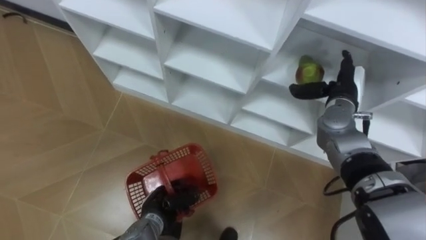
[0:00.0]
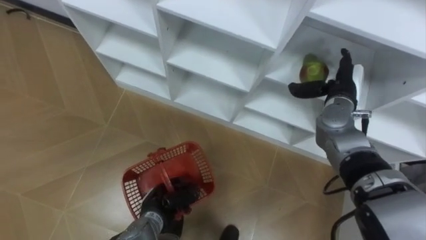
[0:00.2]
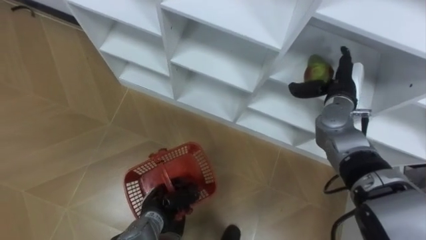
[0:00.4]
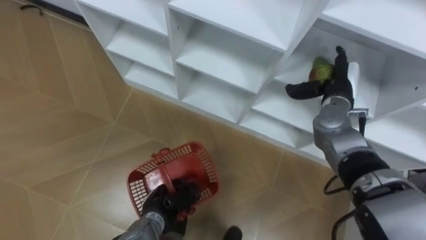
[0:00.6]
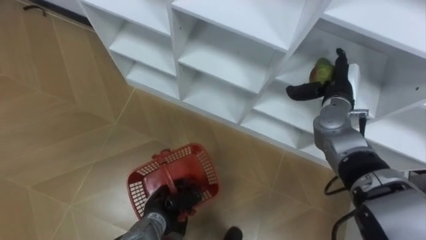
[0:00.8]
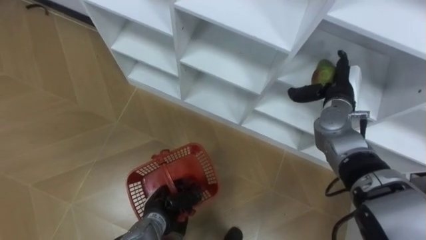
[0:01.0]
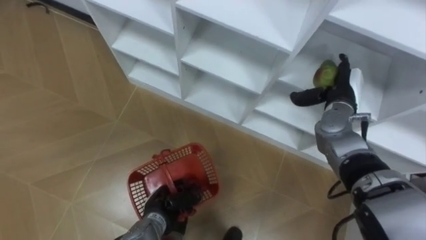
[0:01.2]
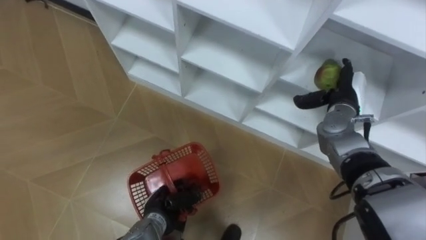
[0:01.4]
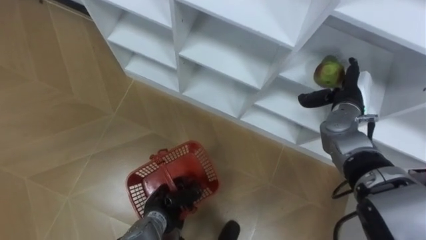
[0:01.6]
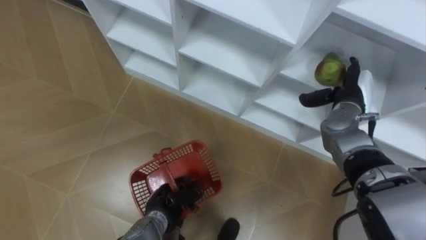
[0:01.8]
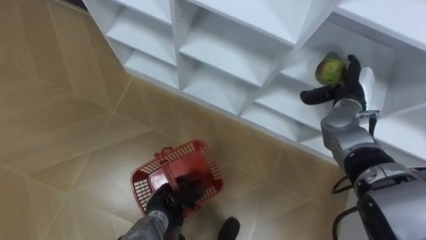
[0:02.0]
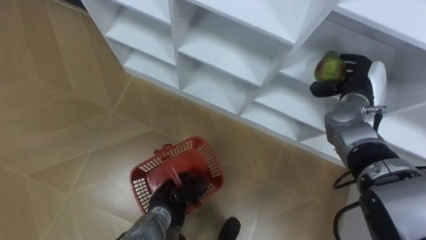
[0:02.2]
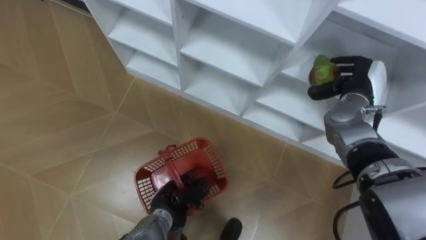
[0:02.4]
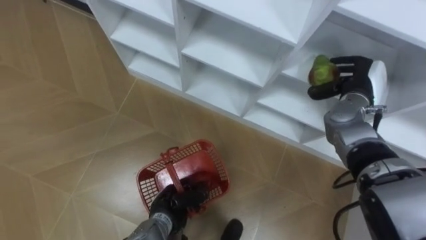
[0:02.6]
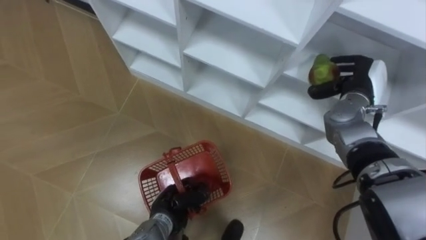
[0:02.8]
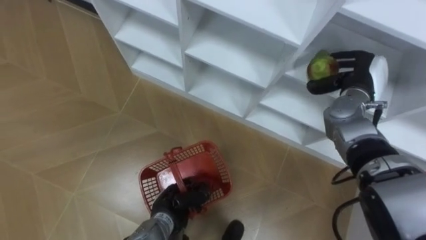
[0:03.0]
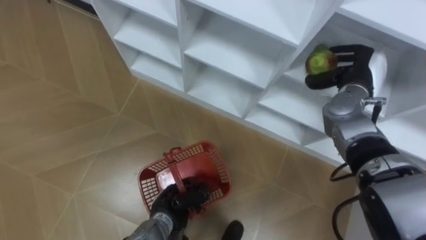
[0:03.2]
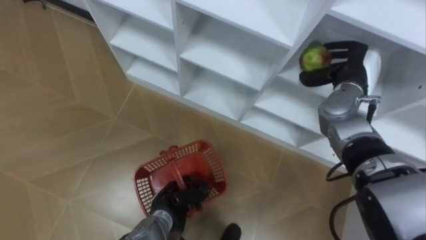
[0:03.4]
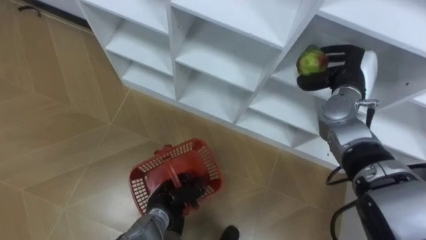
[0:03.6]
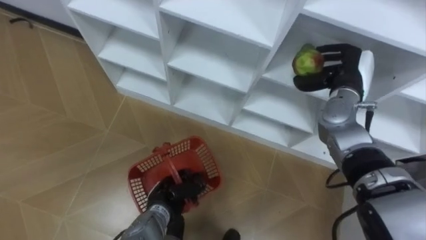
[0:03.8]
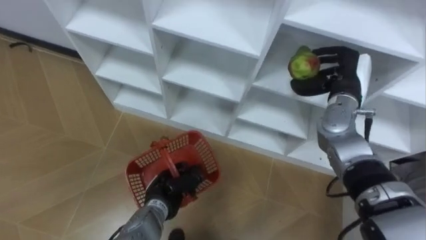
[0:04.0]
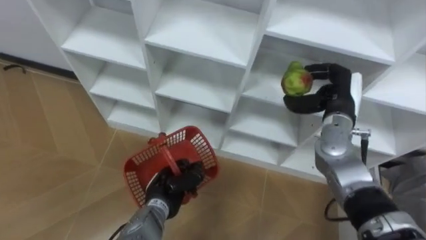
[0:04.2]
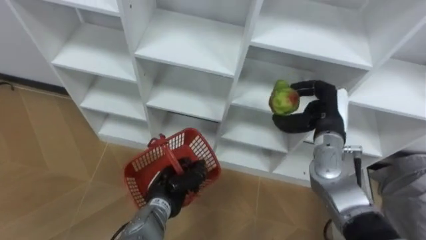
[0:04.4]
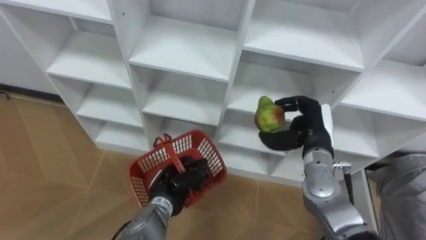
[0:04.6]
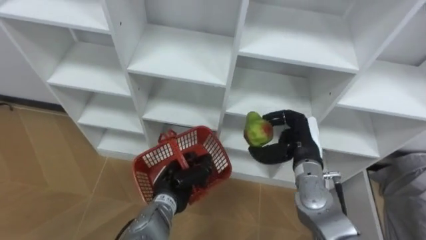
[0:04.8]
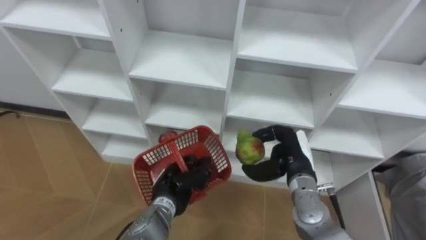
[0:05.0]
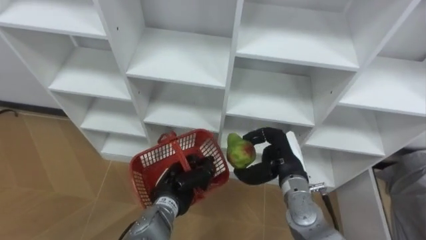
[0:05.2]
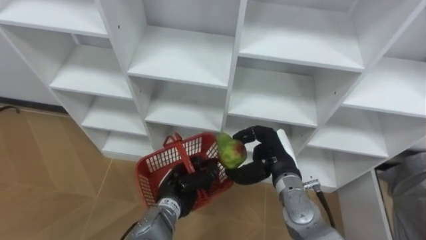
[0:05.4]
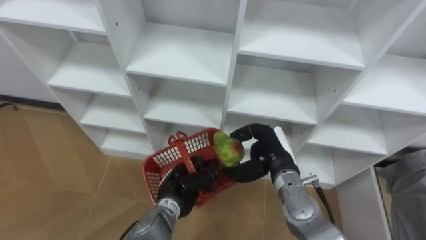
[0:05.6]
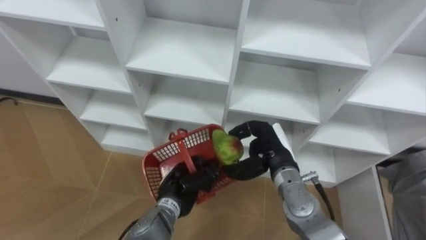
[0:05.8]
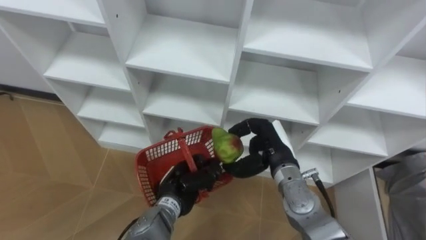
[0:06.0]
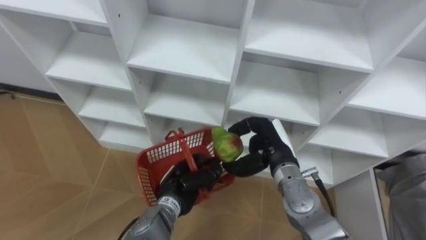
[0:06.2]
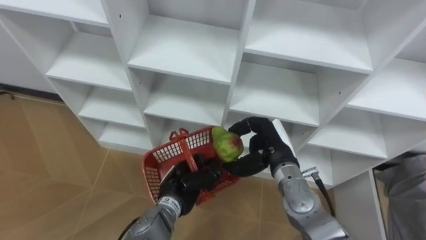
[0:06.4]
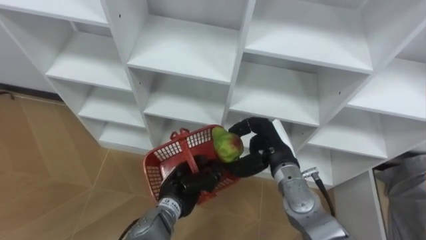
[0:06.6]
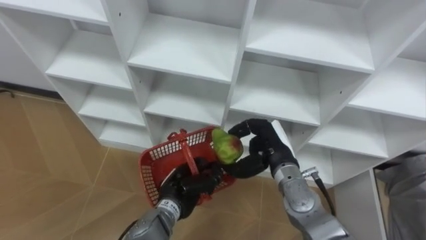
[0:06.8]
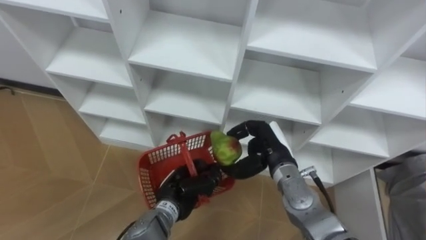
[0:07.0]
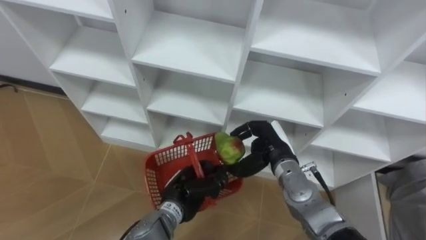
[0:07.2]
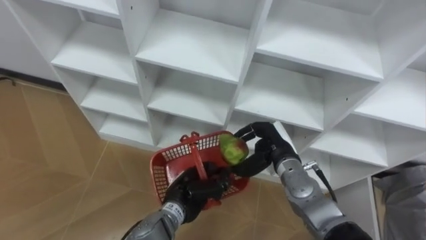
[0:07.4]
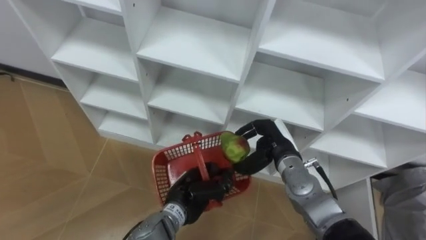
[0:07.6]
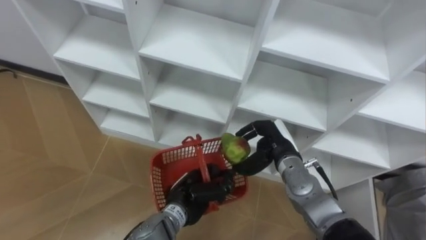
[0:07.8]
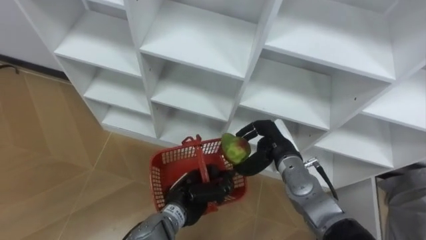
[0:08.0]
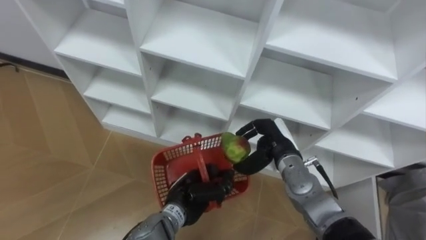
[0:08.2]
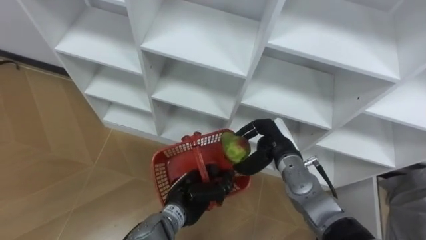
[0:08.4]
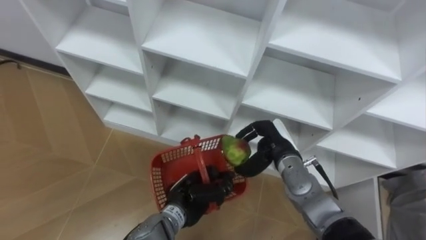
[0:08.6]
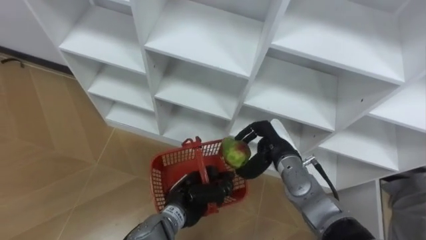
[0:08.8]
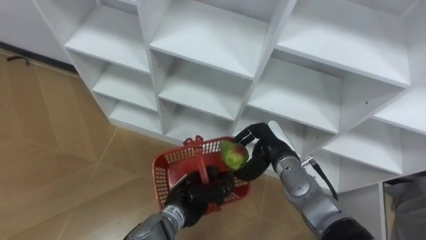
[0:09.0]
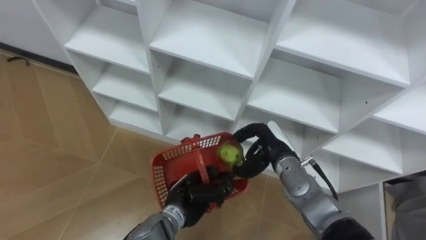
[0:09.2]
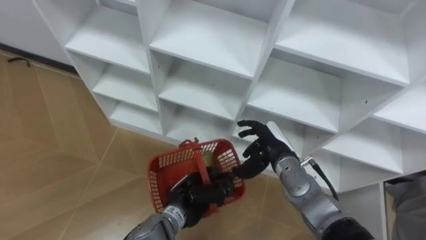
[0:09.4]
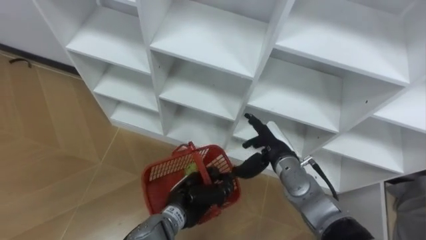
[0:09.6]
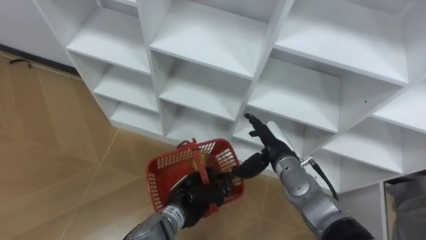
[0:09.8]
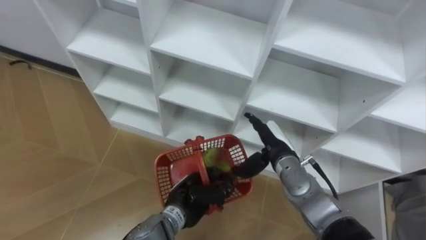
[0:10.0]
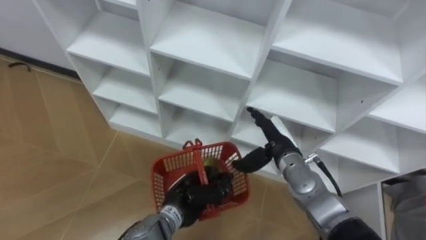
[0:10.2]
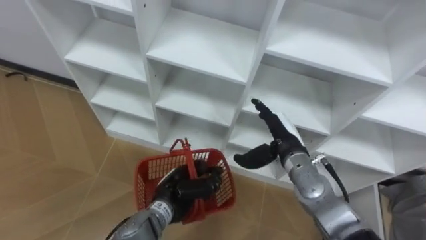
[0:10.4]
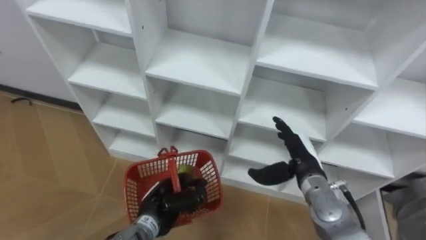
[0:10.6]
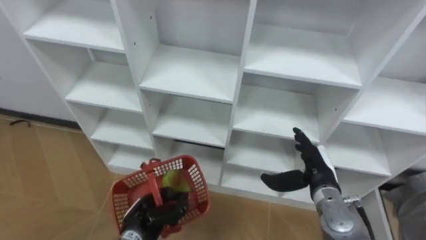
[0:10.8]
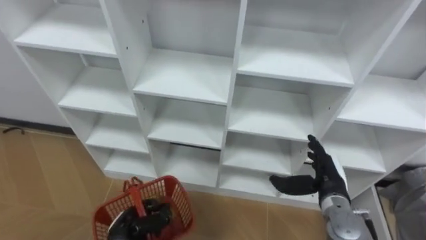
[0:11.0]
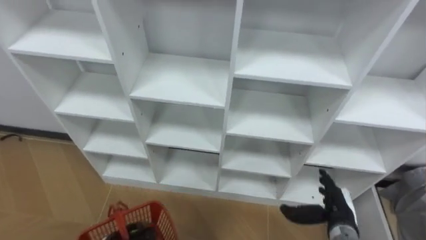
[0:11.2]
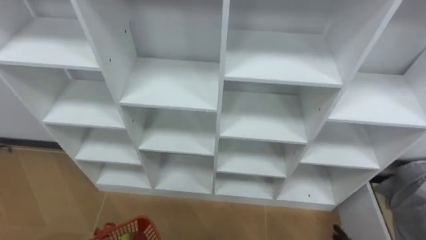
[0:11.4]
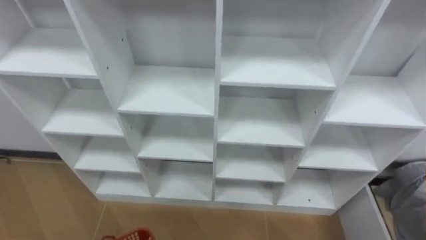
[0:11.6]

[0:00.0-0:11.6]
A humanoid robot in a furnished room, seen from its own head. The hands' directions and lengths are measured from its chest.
Task of the whole recording: Hold the basket and collect the fruits from 3 different cells of the closet into it.
1.4 to 2.8 s: The right hand closes.
2.8 to 4.4 s: The right hand travels to the left and backward by roughly 10 cm.
4.4 to 5.8 s: The right hand travels to the left by some 10 cm.
8.8 to 10.2 s: The right hand opens.

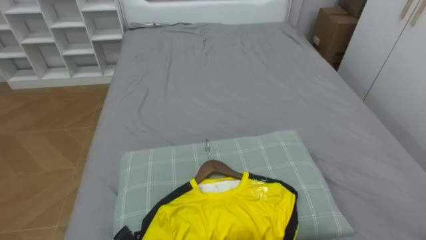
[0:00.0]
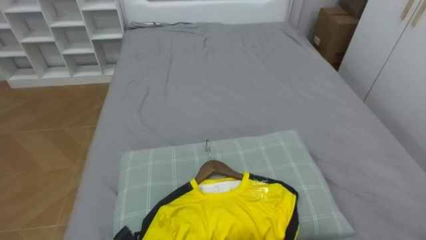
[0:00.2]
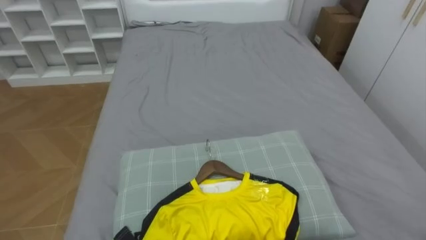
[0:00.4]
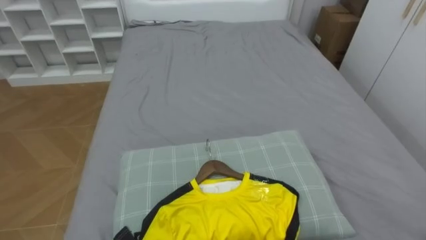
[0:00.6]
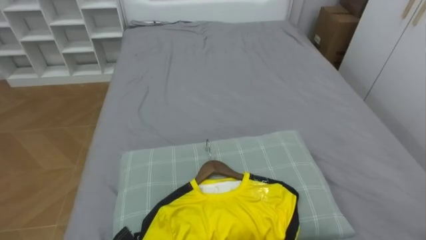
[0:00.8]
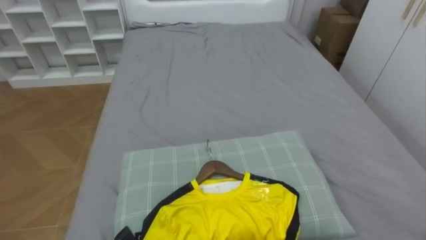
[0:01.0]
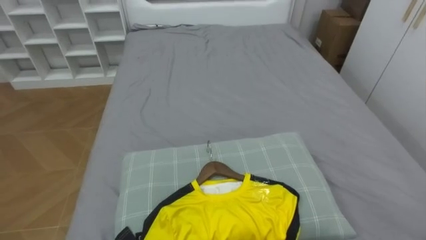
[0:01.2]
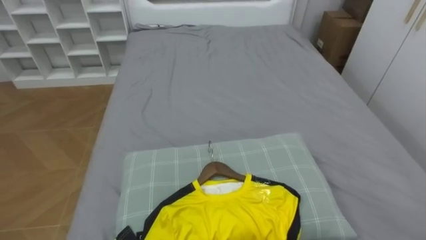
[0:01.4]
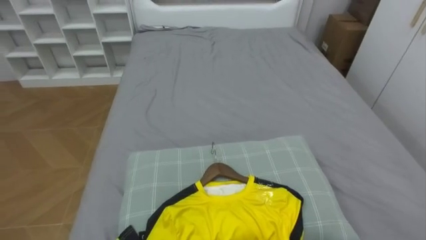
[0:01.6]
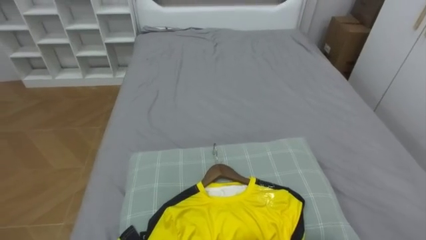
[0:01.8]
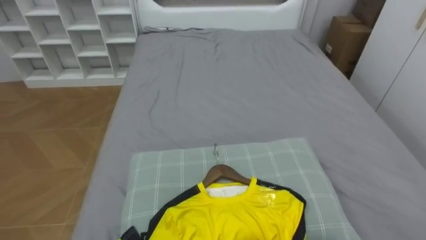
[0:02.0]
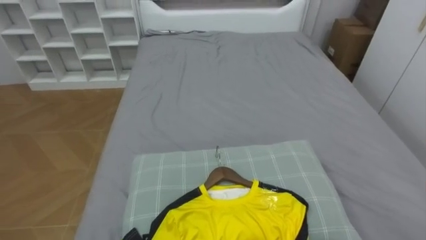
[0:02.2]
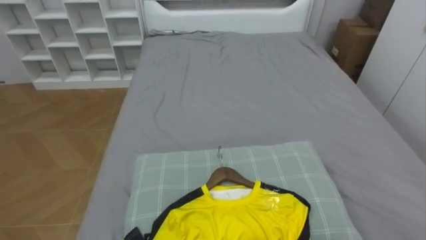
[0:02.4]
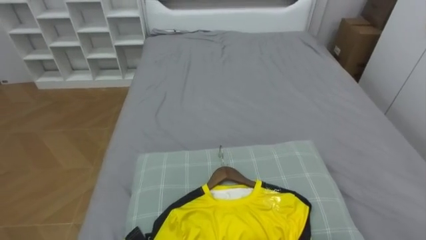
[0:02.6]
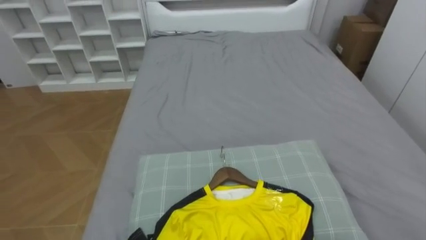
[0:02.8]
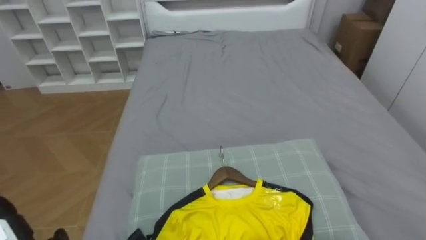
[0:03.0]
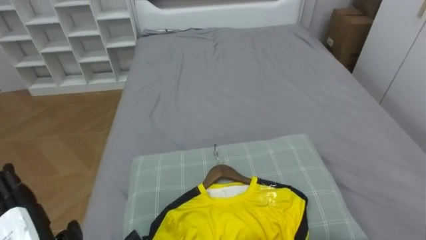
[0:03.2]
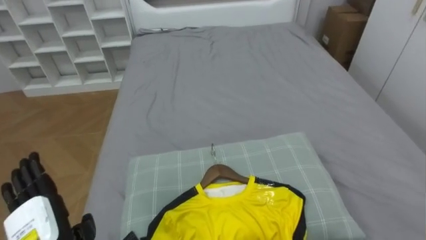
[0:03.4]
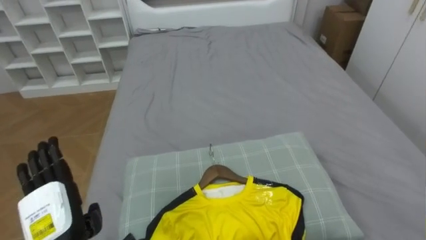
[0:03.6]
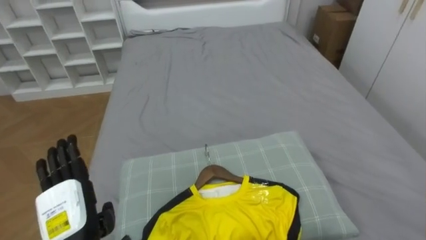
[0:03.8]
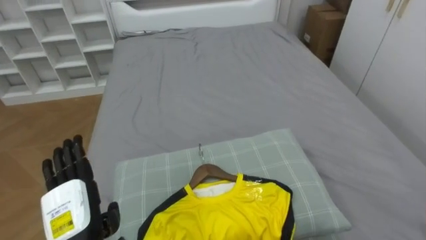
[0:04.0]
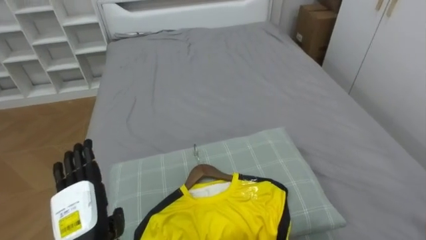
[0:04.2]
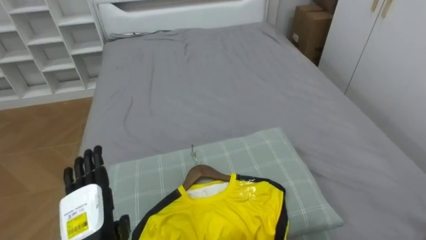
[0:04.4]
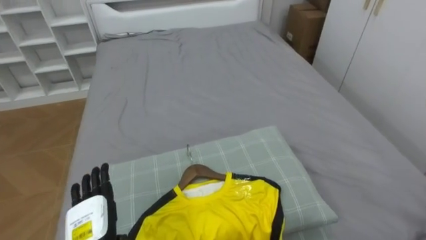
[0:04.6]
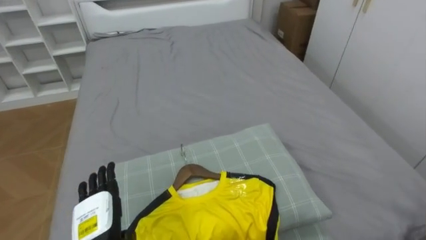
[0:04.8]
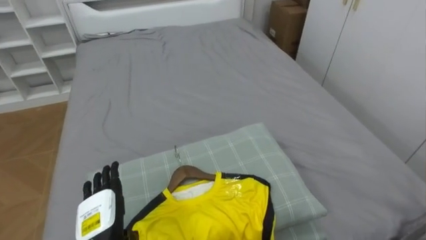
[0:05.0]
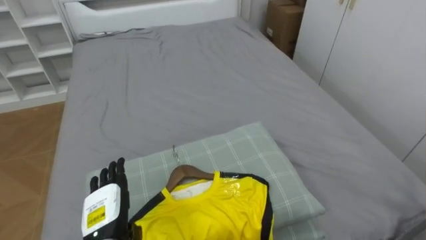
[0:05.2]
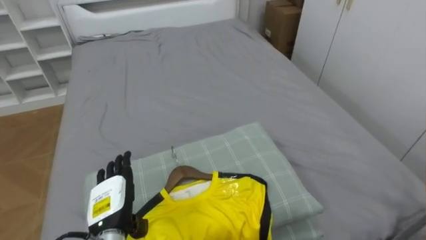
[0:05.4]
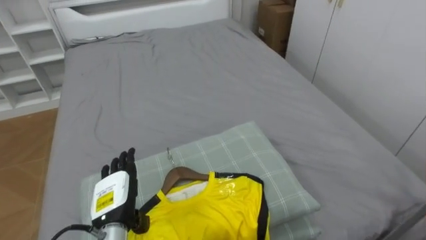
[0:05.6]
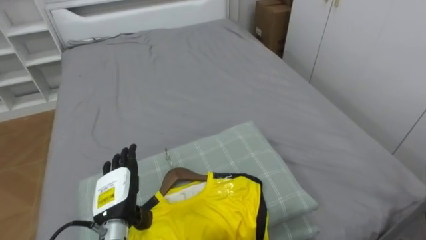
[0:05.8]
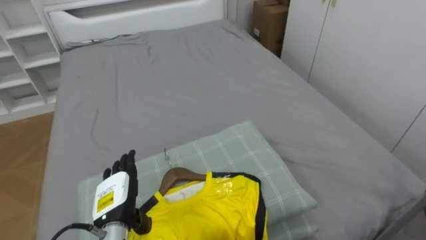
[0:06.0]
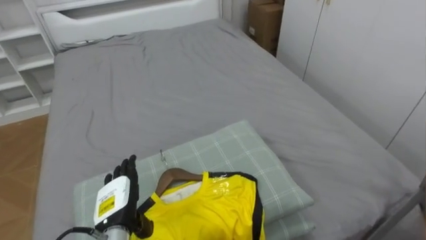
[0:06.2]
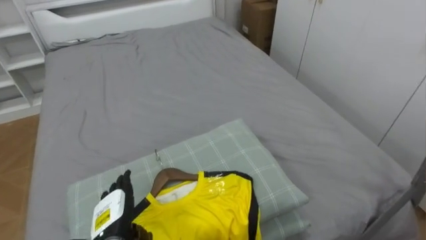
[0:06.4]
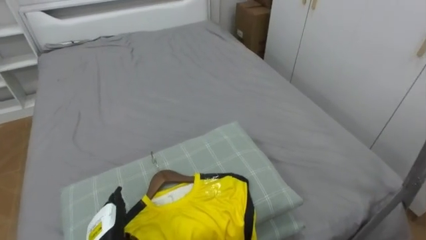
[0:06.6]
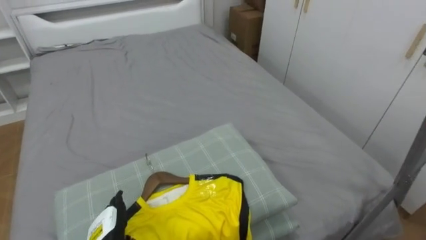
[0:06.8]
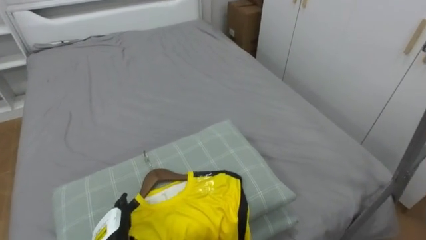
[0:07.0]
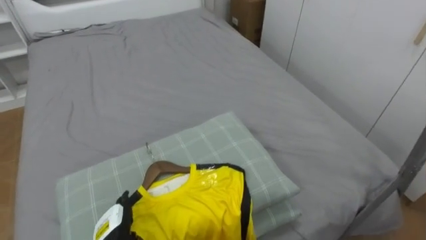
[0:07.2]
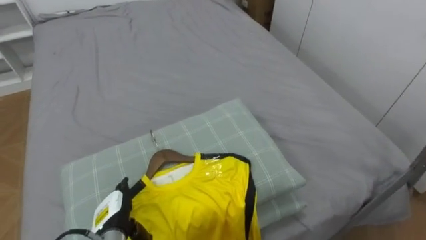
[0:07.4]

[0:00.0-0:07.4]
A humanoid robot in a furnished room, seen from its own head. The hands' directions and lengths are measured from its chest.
Task of the whole recording: Pick up the yellow shirt on the bed and hang it on the clothes rack on the right.
4.4 to 6.0 s: The left hand is displaced forward by some 5 cm.
